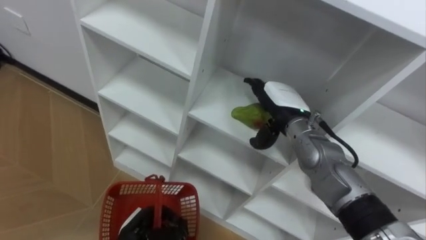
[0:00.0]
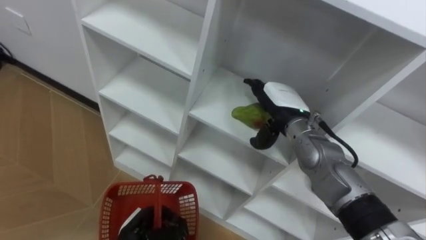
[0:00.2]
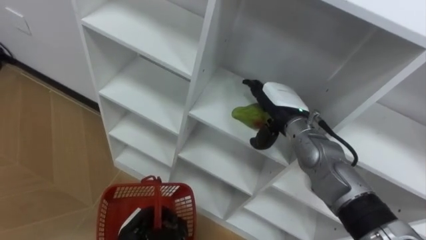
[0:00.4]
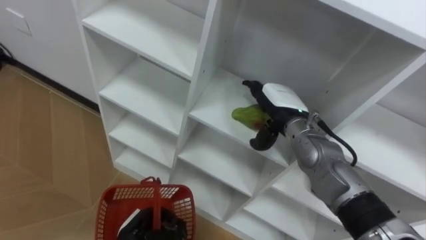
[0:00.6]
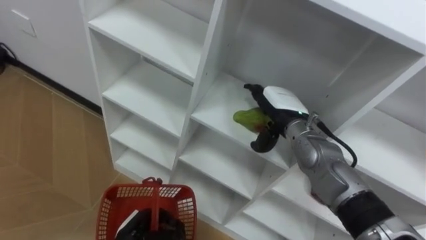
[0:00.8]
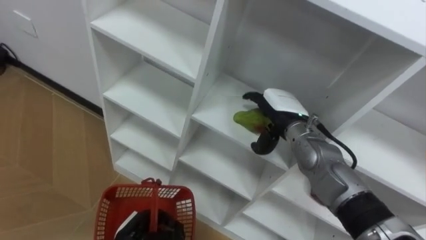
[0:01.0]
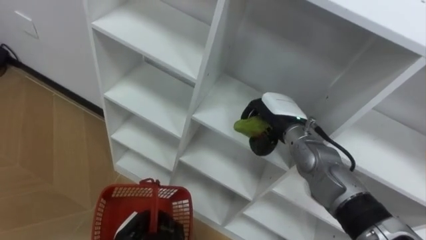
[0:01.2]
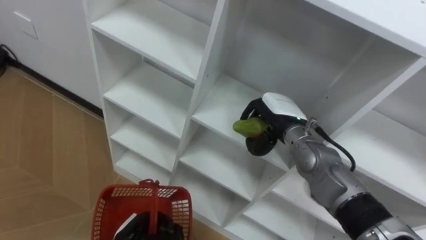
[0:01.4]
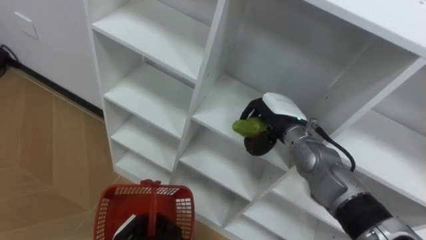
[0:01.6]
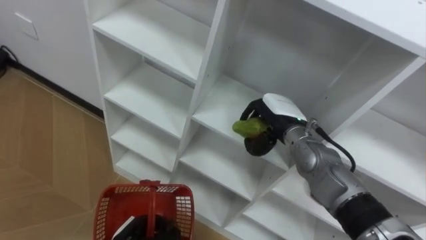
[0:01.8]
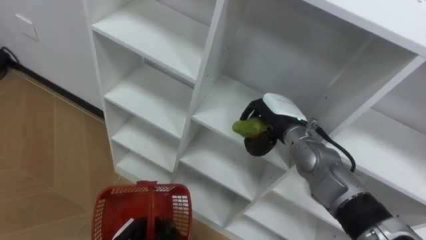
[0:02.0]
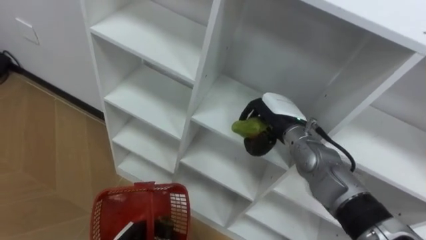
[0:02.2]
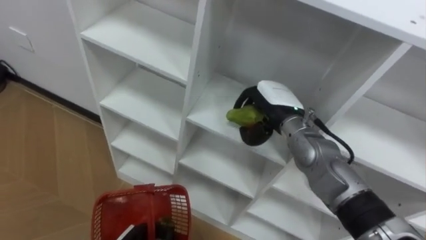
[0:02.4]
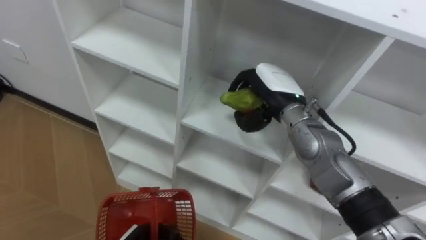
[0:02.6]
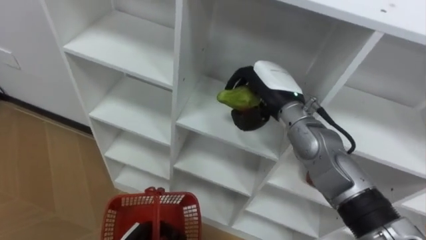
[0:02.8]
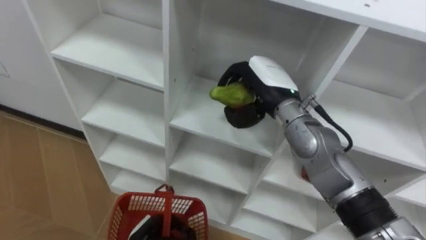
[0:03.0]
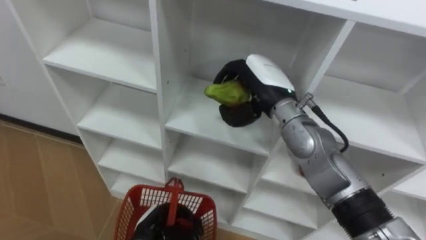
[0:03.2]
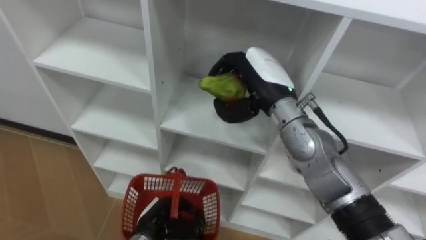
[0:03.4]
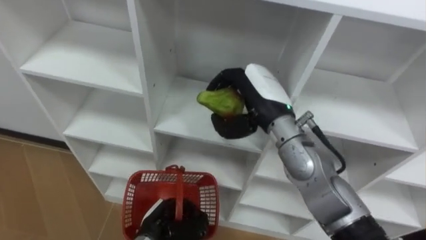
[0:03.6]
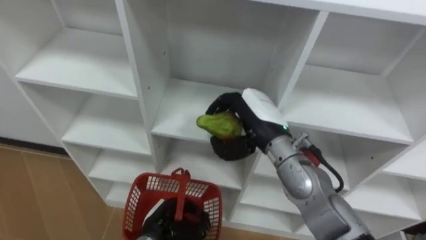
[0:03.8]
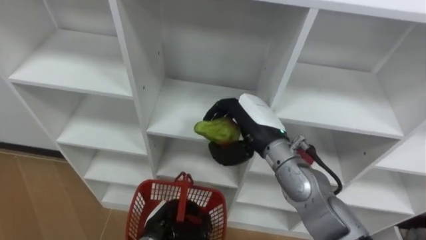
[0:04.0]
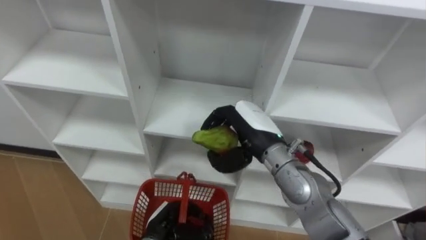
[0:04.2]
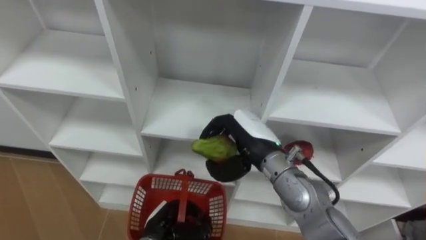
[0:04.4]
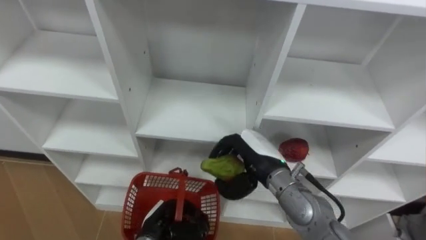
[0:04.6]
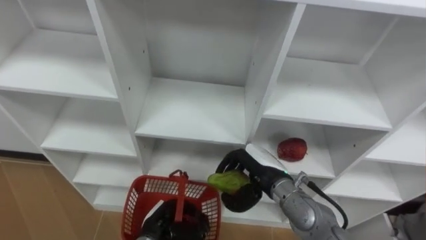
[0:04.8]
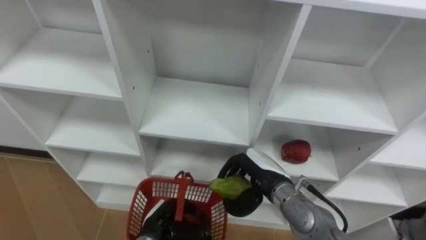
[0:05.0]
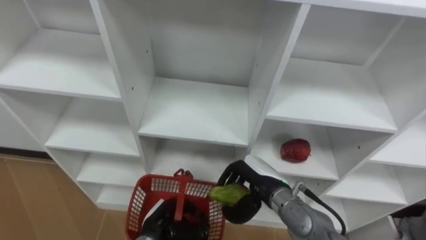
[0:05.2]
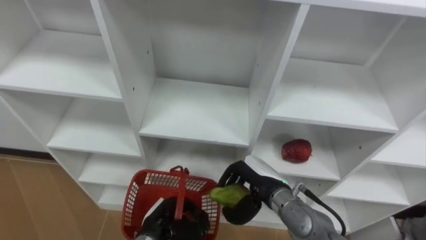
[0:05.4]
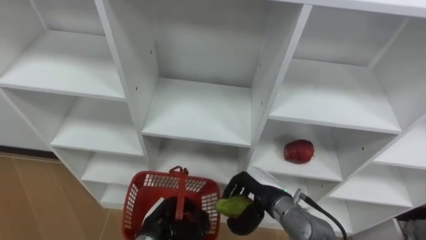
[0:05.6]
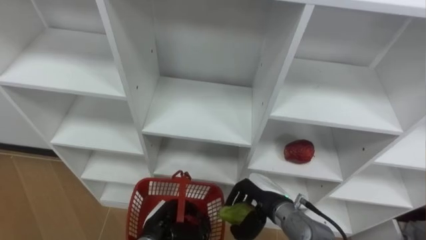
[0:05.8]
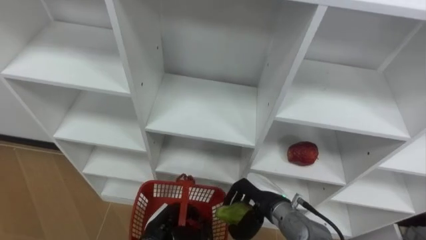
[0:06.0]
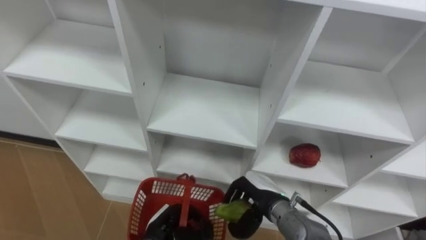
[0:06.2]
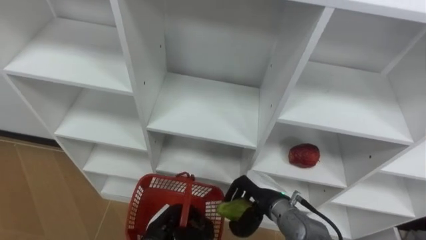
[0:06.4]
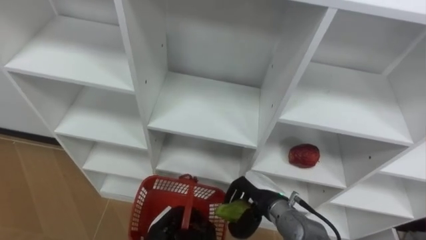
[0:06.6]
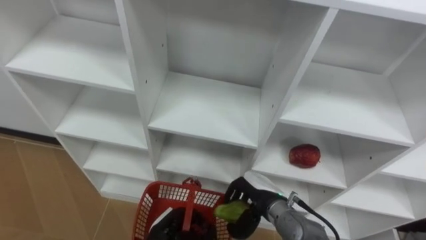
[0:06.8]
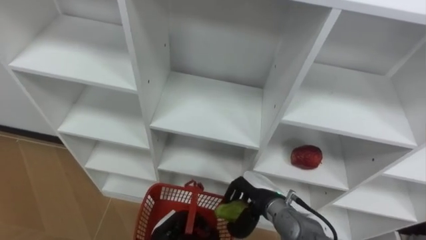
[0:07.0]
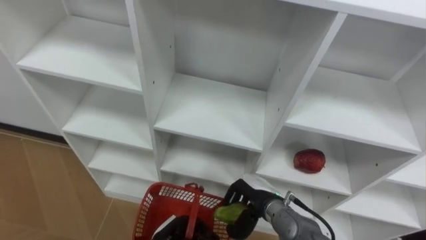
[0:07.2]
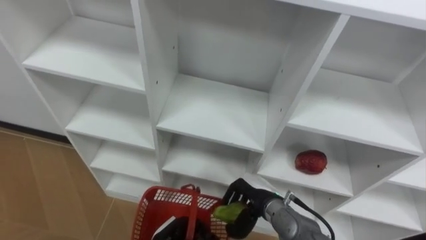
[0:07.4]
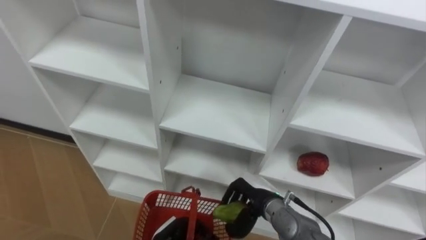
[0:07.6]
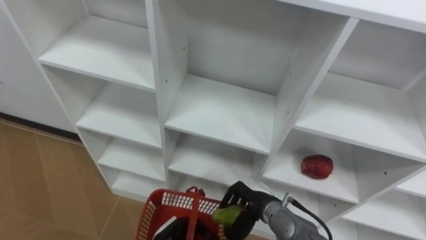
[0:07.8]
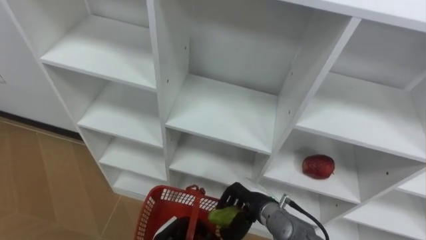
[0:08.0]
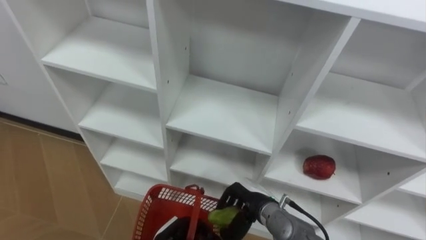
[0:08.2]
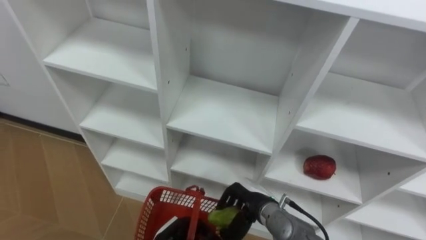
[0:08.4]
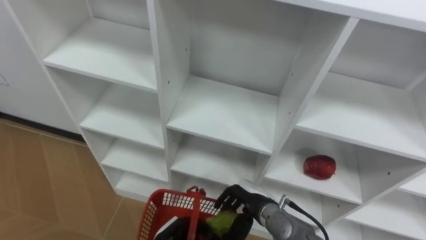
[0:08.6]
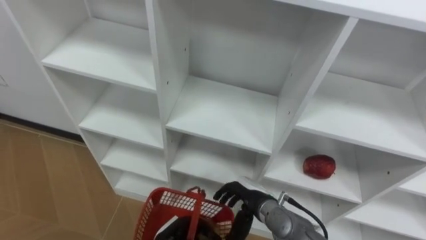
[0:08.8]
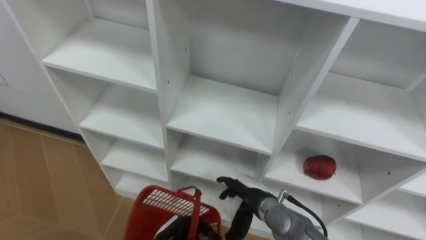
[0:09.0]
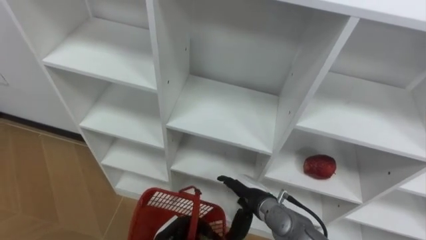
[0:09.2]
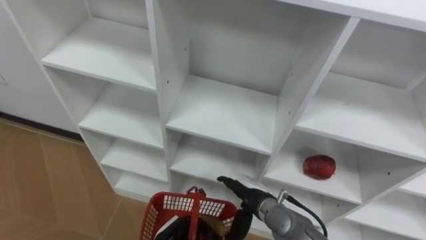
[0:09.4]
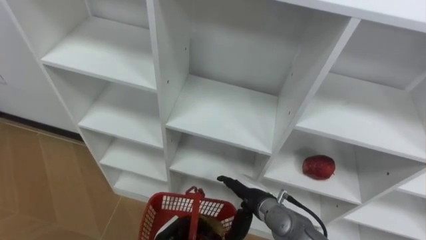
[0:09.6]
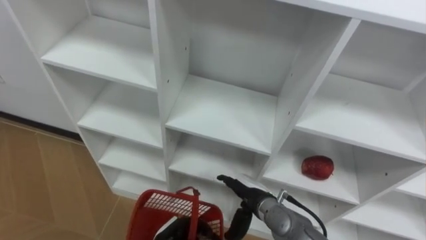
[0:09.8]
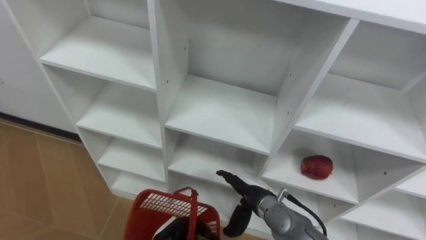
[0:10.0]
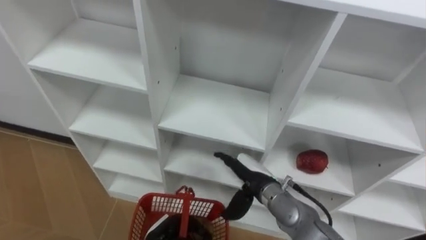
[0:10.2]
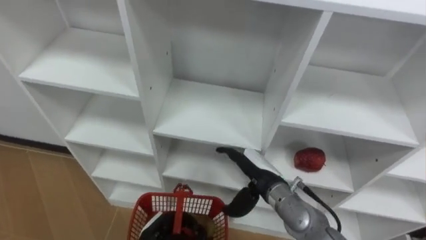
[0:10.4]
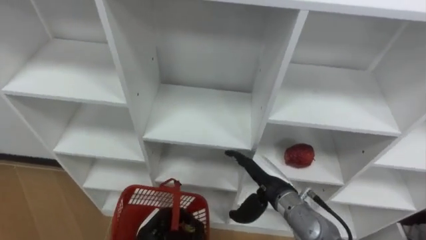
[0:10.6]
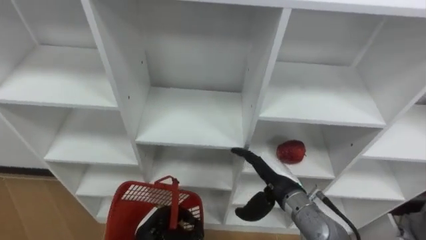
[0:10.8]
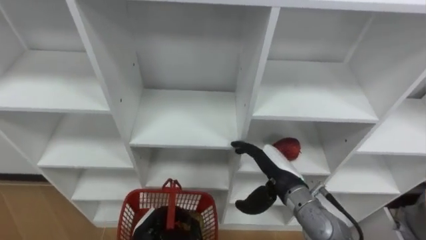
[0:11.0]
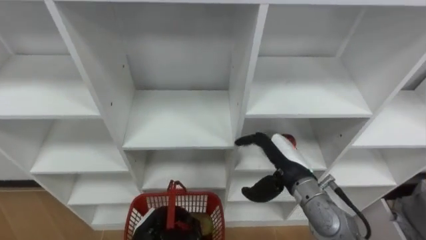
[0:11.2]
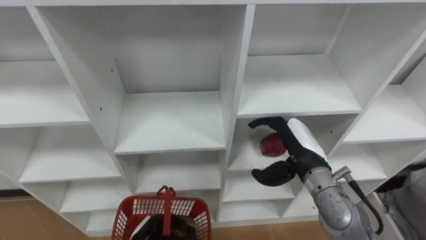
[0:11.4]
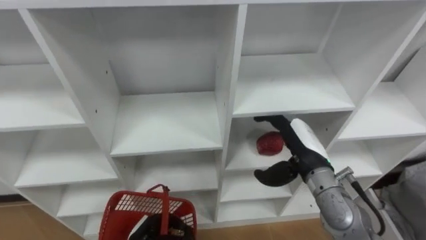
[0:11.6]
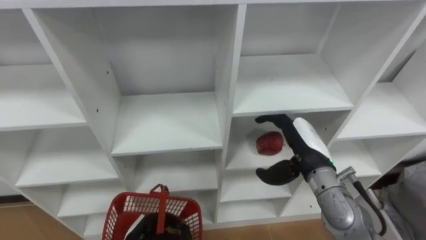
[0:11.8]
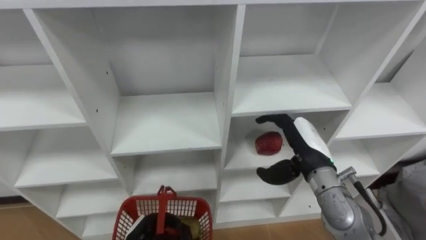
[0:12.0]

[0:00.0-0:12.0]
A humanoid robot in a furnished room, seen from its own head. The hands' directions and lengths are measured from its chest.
Task of the whole recording: Hold the basket and collect the fruits from 3 different cells of the closet into it.
0:00.0 to 0:01.6: The right hand closes up.
0:01.6 to 0:03.0: The right hand is displaced upward by some 10 cm.
0:03.0 to 0:04.4: The right hand heads backward and downward, covering approximately 10 cm.
0:04.4 to 0:06.0: The right hand shifts approximately 15 cm downward and backward.
0:07.6 to 0:09.0: The right hand opens.
0:09.0 to 0:10.4: The right hand goes roughly 5 cm upward.
0:10.4 to 0:12.0: The right hand goes approximately 10 cm to the right and upward.

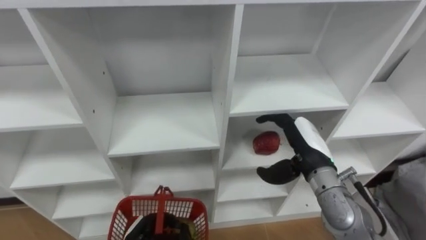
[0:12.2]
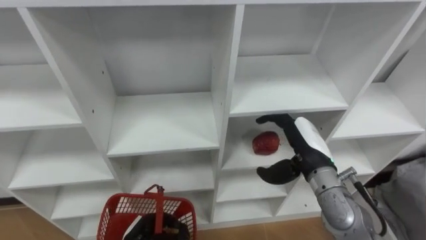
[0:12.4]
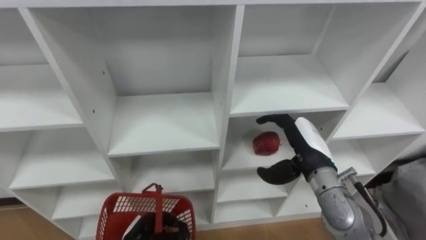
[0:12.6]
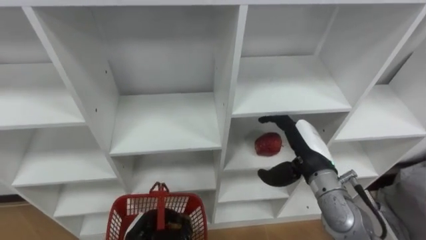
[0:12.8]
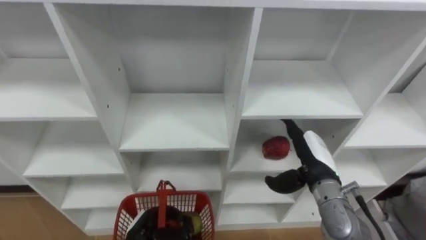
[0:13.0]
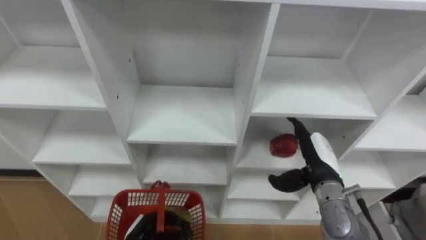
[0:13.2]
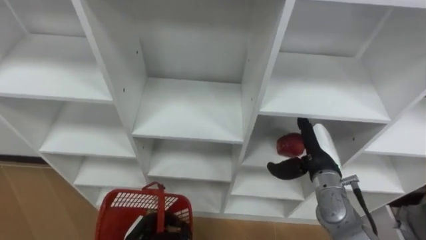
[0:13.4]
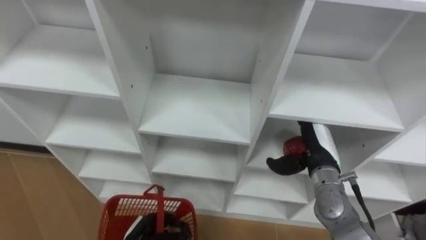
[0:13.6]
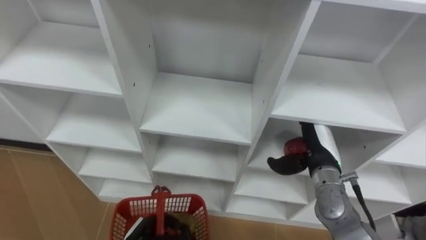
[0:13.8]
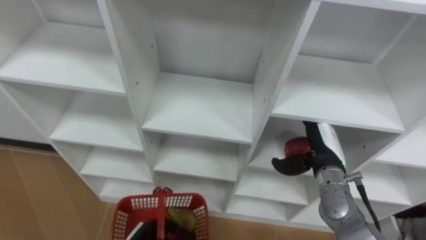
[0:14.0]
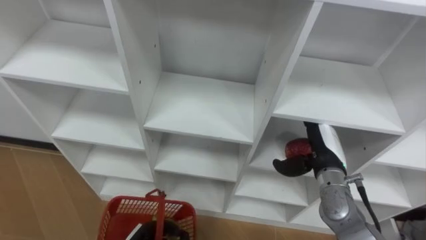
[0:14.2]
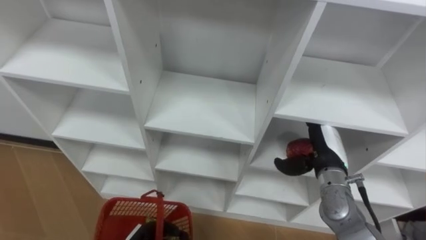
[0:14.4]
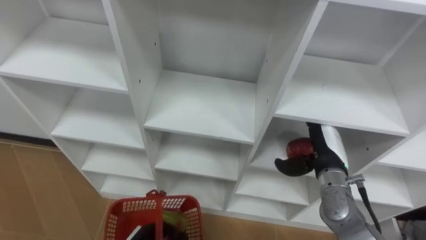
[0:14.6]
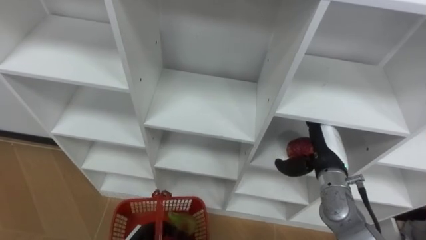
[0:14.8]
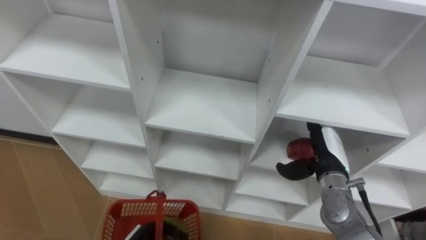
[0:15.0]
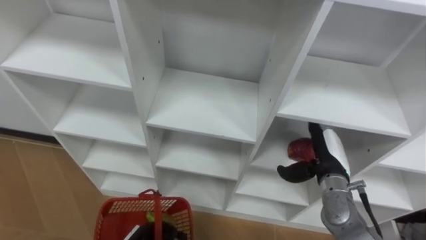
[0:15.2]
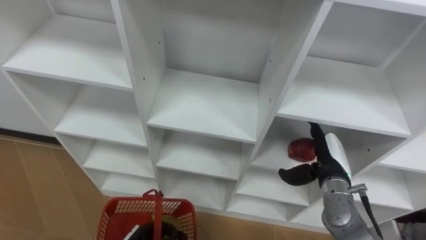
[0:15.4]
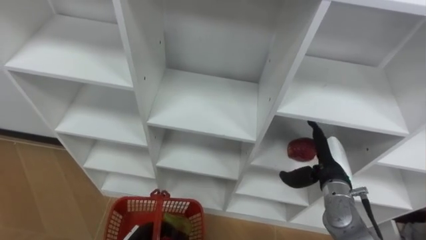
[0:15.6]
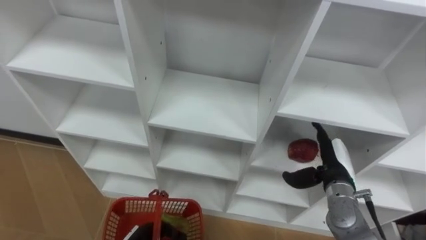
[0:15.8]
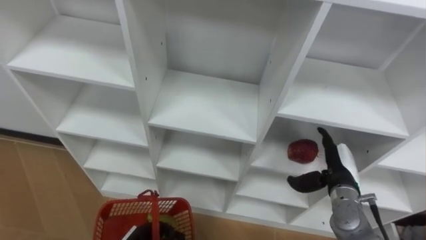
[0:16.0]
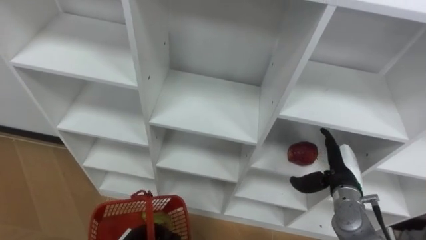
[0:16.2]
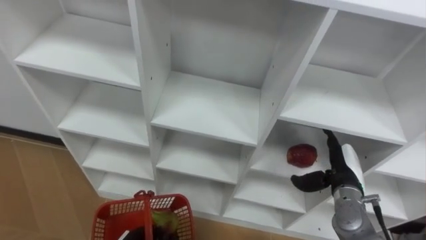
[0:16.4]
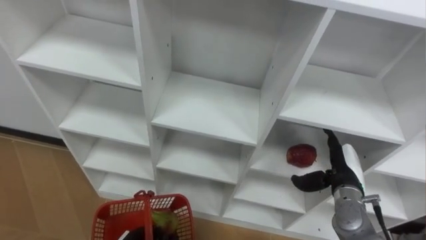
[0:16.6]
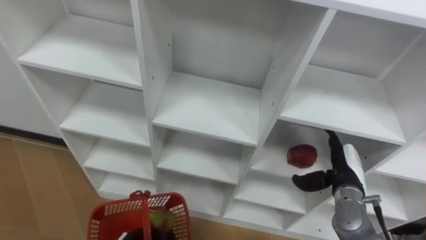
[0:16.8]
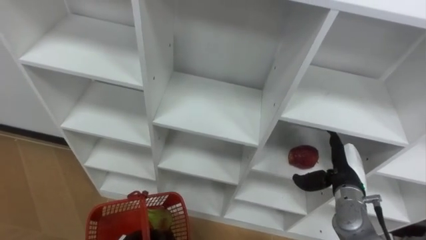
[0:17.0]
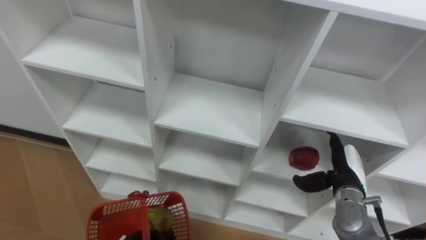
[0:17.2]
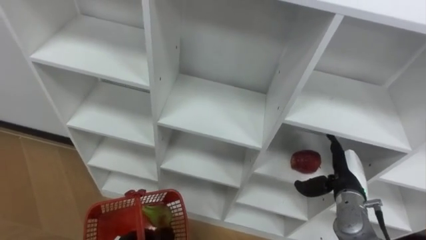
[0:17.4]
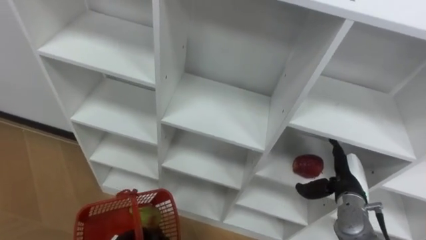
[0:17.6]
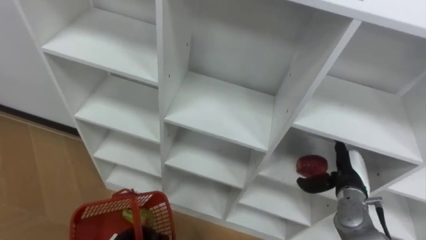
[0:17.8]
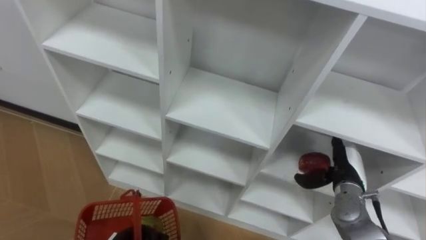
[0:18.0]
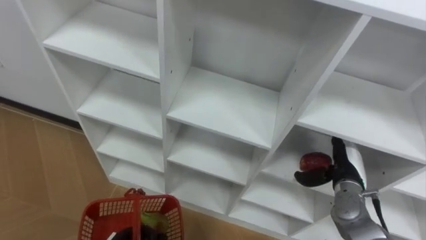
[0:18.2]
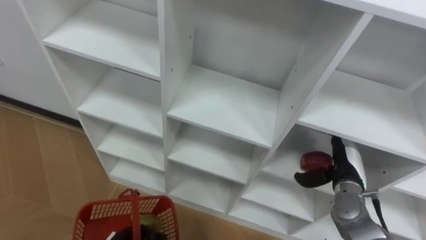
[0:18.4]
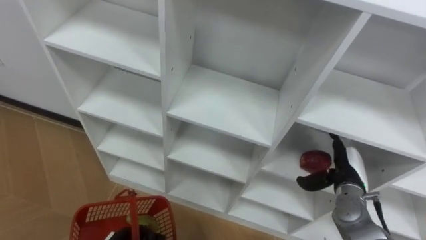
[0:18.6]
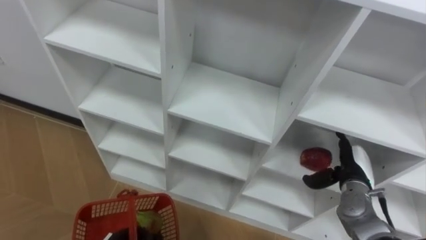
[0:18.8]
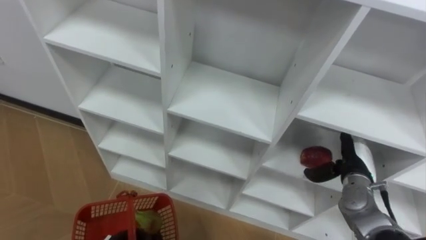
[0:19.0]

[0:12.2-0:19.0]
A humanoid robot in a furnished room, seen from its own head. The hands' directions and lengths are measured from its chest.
Task of the whole recording: Hold the basket and collect the fruits from 3 different cells of the closet into it.
0:15.0 to 0:16.2: The right hand ends up roughly 5 cm from where it was.
